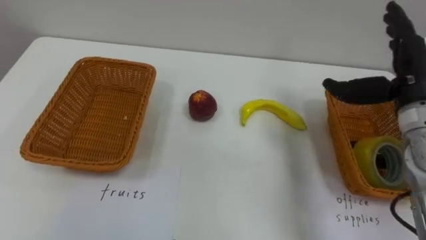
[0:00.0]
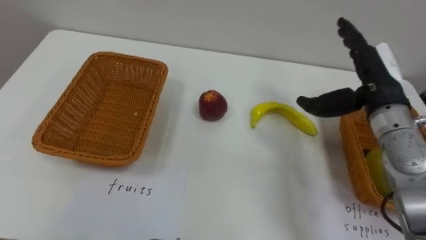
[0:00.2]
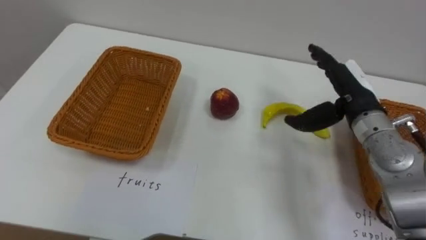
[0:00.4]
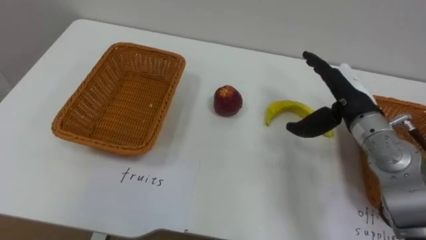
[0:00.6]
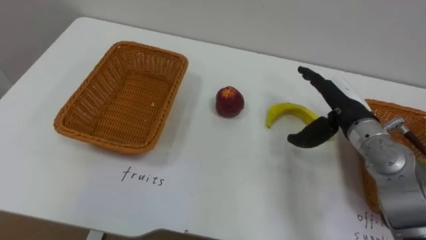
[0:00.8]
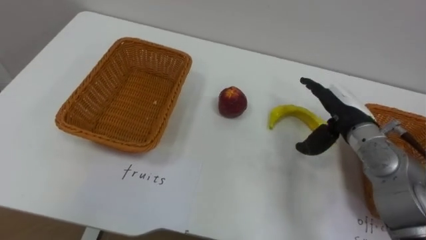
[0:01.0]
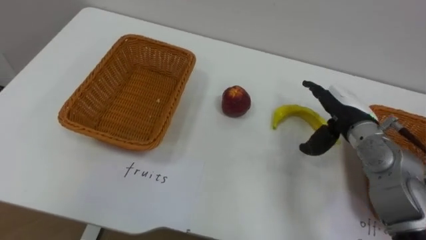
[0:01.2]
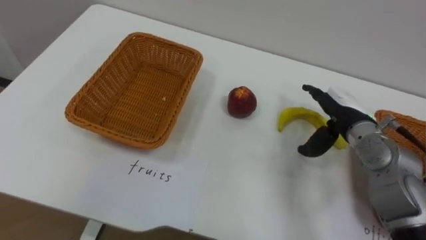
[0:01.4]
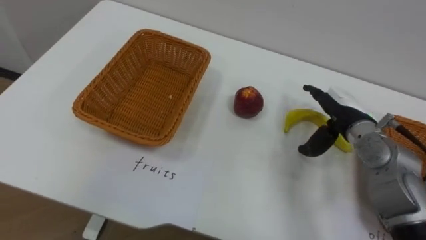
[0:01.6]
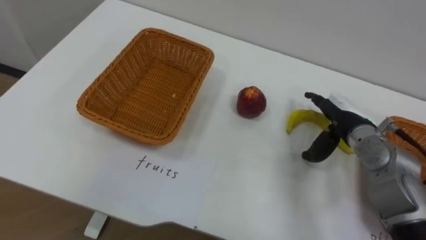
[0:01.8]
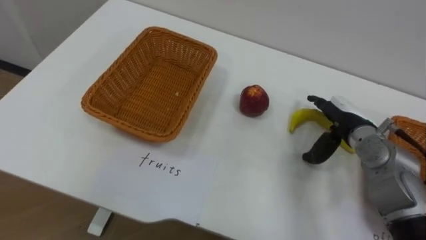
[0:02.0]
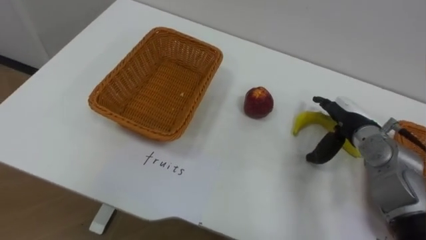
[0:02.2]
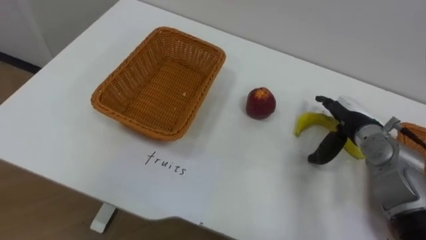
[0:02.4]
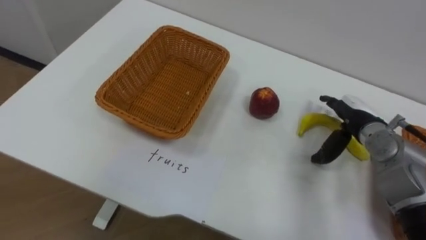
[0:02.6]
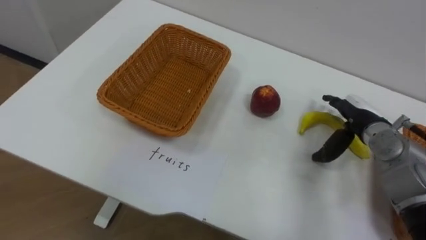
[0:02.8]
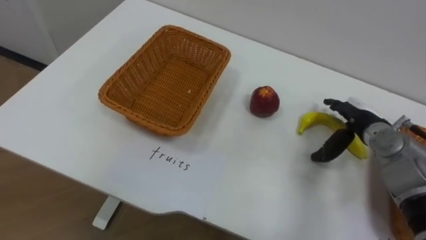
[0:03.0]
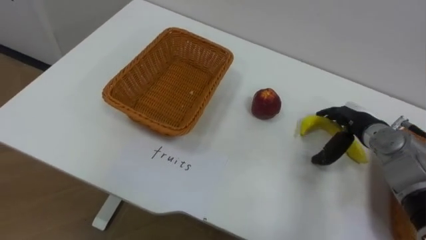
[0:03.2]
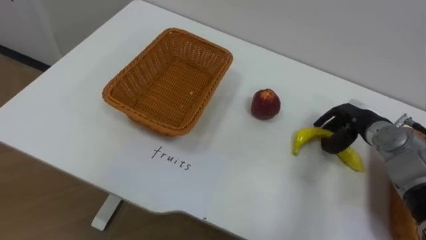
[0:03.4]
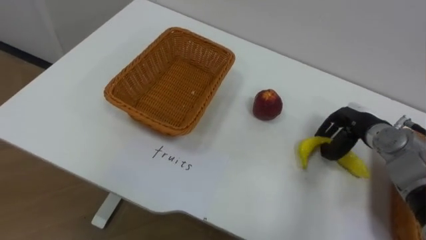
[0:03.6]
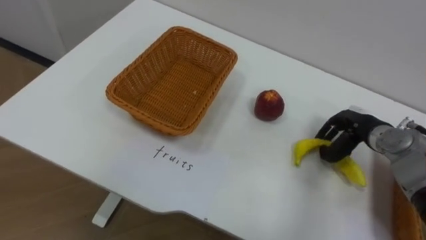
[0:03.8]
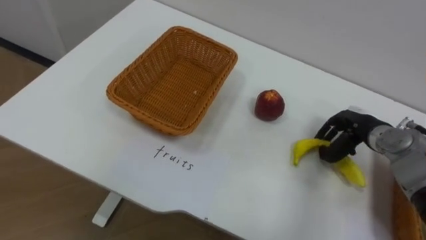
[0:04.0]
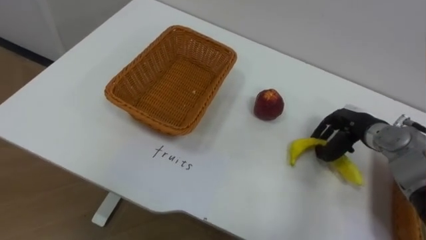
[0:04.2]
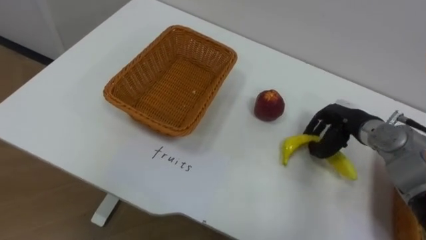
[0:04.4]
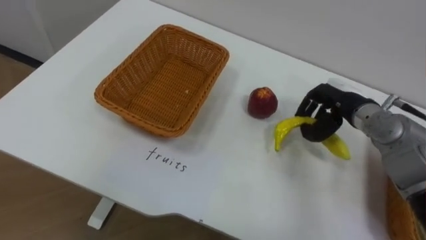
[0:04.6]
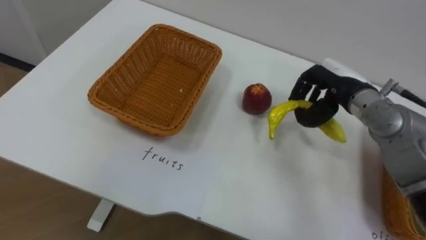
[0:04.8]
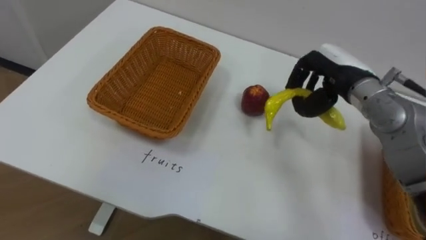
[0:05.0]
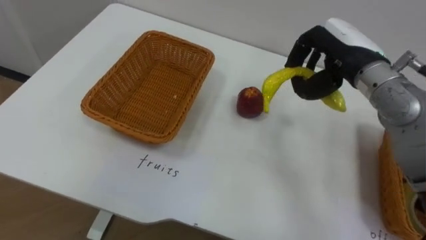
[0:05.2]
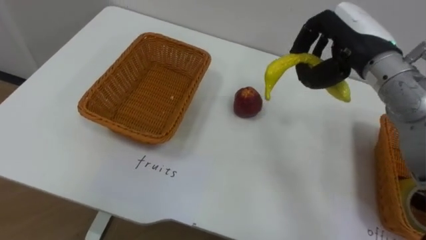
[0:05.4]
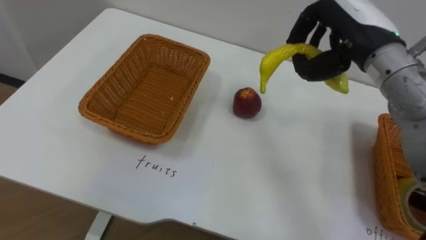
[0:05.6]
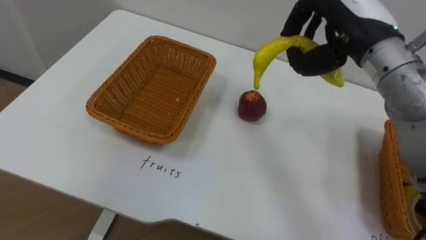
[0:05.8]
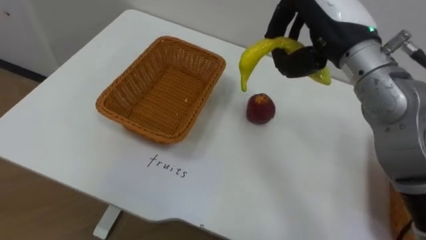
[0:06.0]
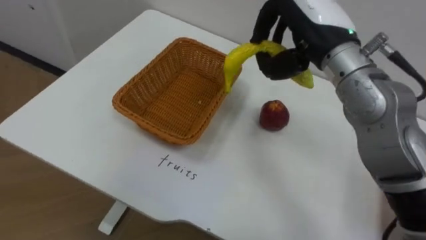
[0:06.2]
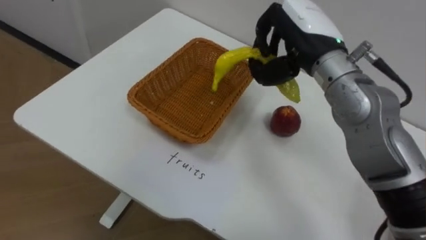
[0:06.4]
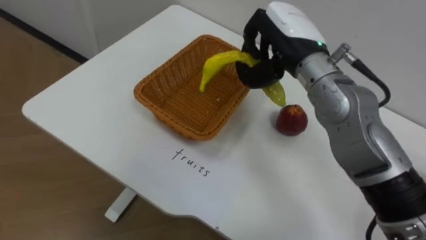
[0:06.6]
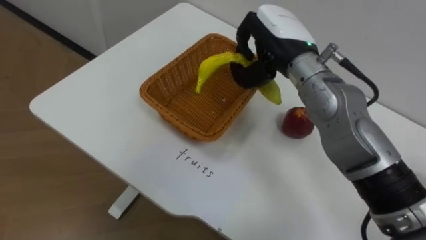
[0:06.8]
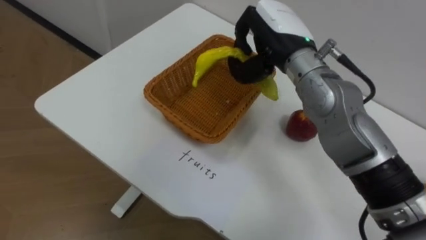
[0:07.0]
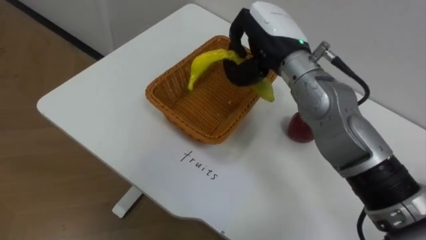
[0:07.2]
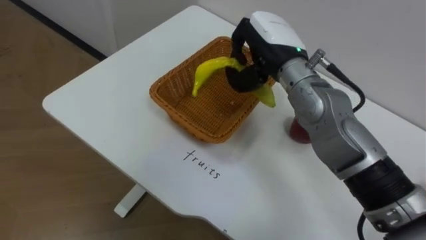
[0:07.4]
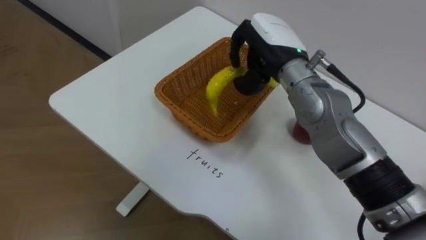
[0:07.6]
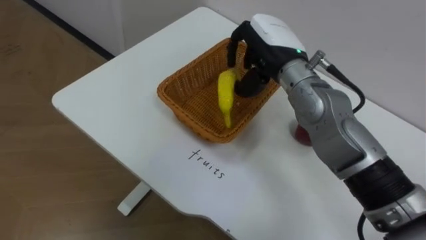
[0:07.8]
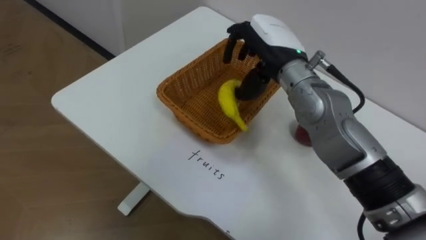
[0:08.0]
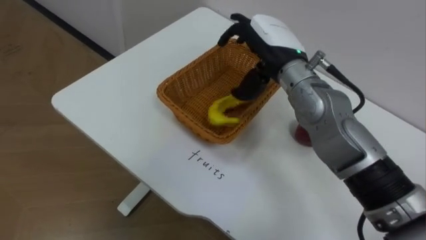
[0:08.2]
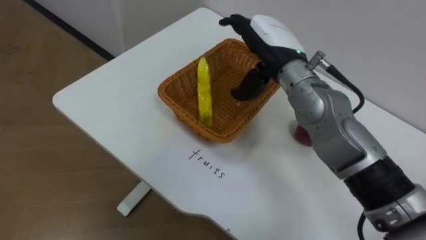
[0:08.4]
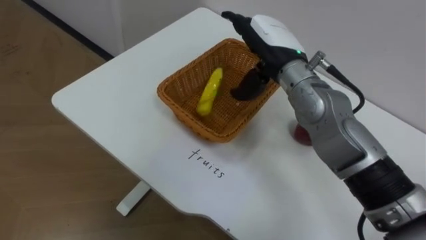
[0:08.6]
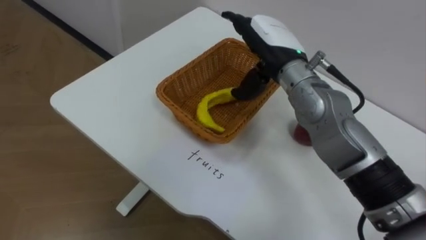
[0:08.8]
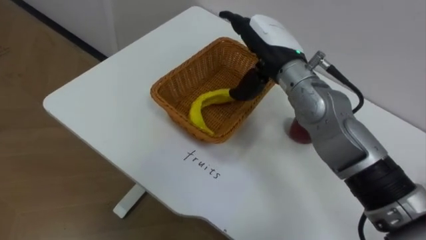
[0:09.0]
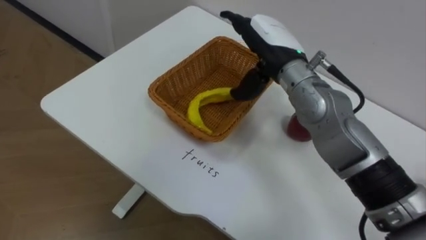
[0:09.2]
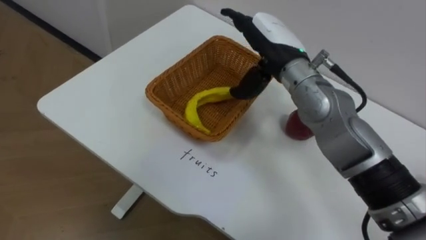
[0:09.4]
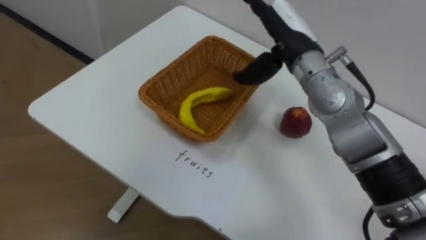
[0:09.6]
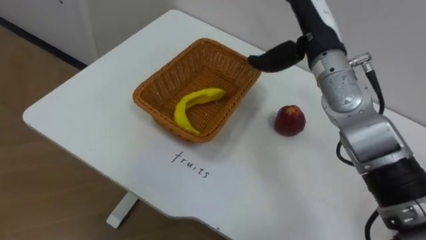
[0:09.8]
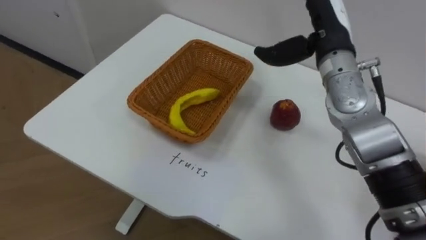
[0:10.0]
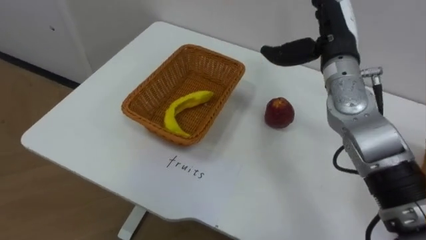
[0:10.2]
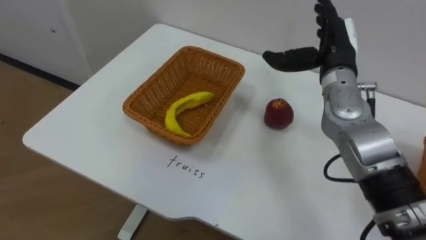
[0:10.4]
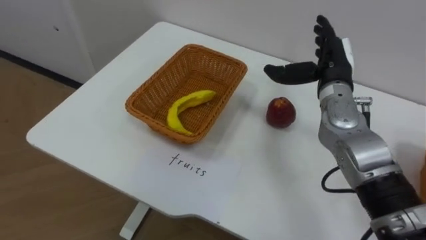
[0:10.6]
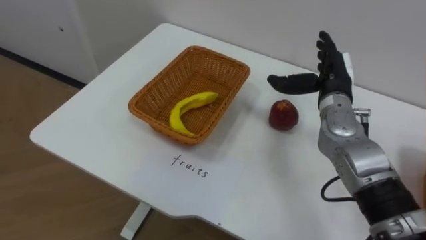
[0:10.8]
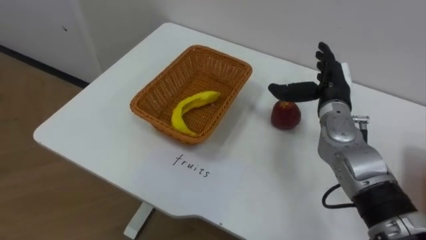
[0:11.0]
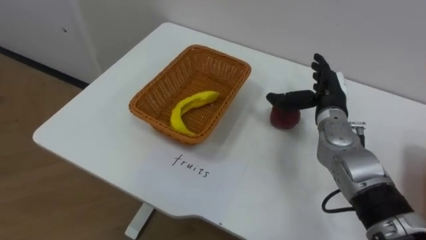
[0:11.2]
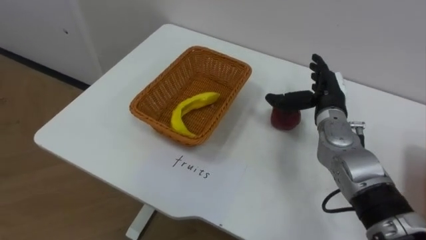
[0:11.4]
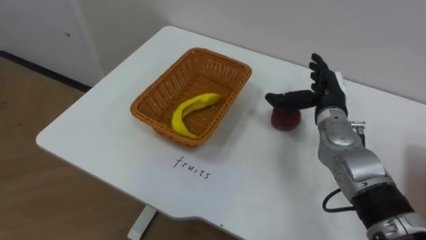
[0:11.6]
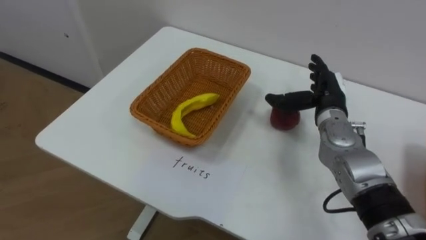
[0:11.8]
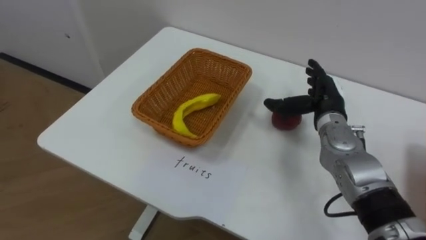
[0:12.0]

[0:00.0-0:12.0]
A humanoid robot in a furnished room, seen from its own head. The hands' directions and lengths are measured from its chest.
Task of the whole recording: Separate the items on the table and place them into the two baskets.
0:00.0 to 0:01.6: The right hand is displaced downward by some 10 cm.
0:01.6 to 0:03.0: The right hand moves roughly 5 cm.
0:03.0 to 0:04.4: The right hand closes its fingers.
0:04.4 to 0:06.0: The right hand travels upward and to the left by approximately 25 cm.
0:06.0 to 0:07.6: The right hand is displaced to the left and downward by about 10 cm.
0:07.6 to 0:09.0: The right hand opens its fingers.
0:09.0 to 0:10.4: The right hand heads to the right, covering about 10 cm.
0:10.4 to 0:12.0: The right hand goes some 10 cm downward.

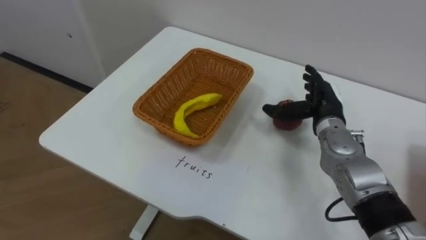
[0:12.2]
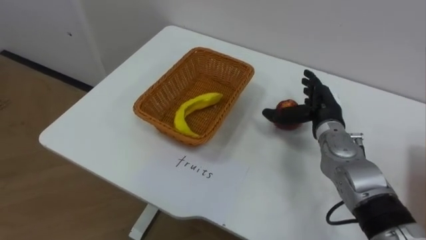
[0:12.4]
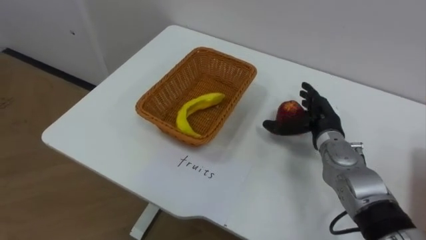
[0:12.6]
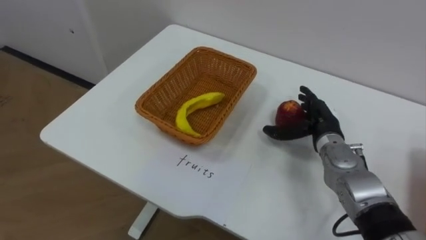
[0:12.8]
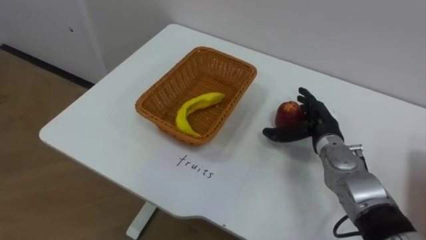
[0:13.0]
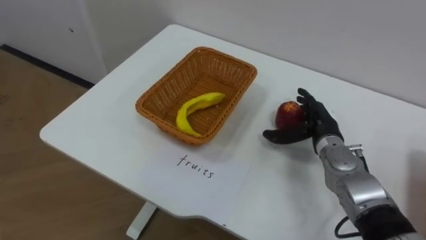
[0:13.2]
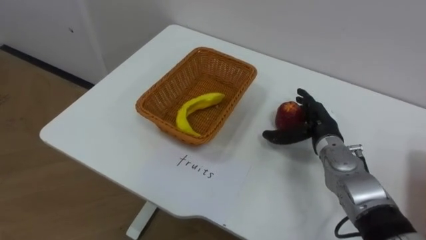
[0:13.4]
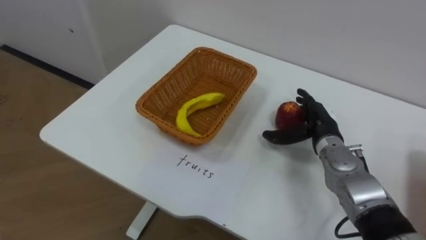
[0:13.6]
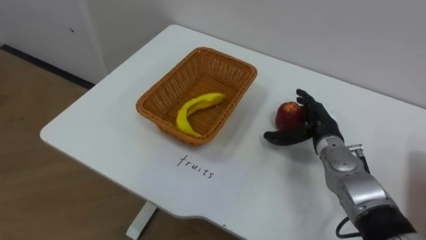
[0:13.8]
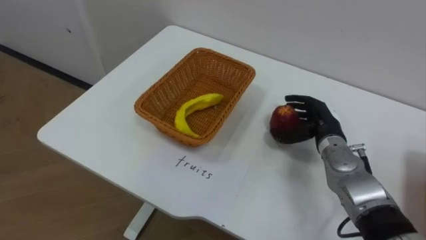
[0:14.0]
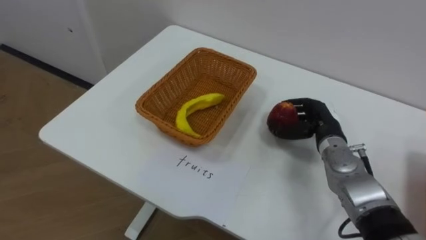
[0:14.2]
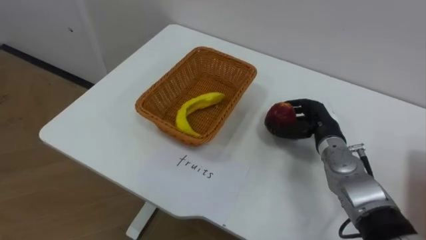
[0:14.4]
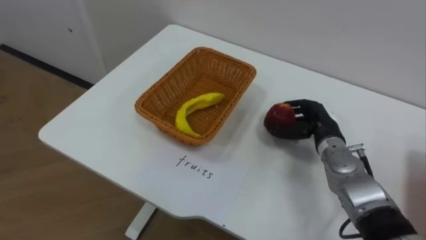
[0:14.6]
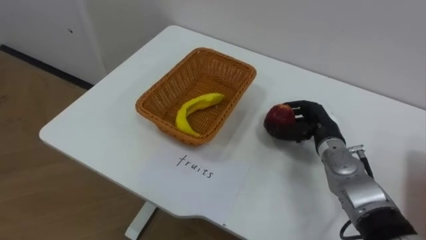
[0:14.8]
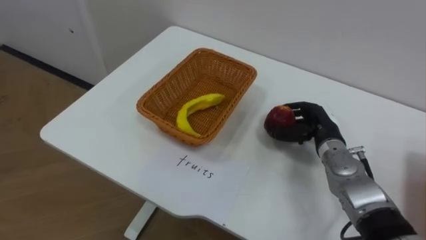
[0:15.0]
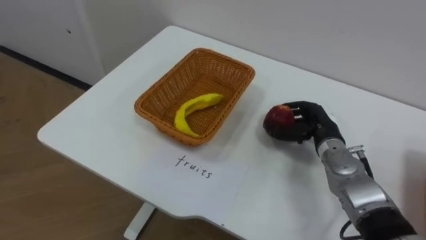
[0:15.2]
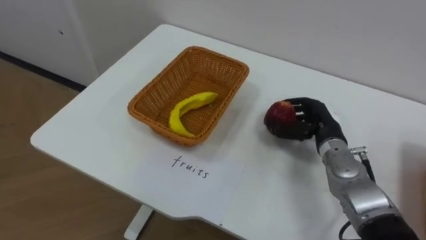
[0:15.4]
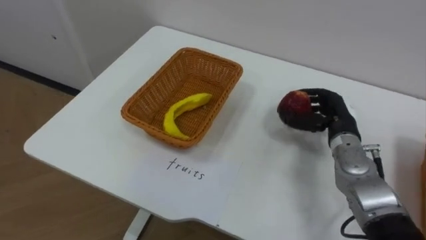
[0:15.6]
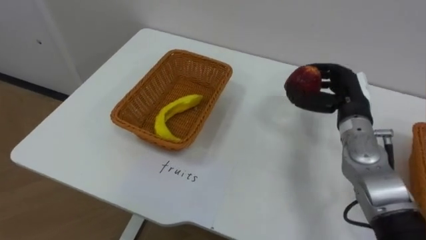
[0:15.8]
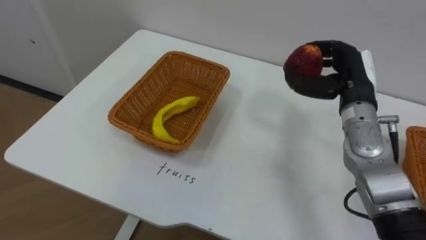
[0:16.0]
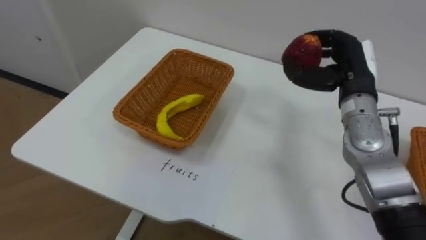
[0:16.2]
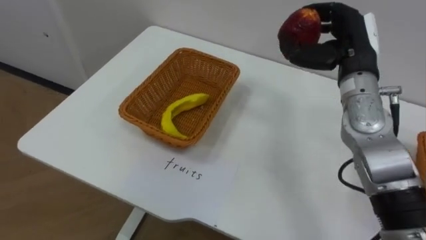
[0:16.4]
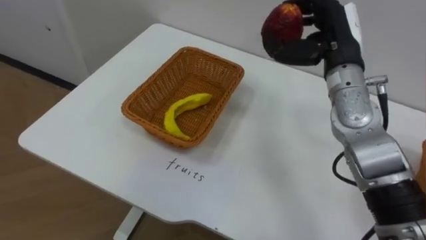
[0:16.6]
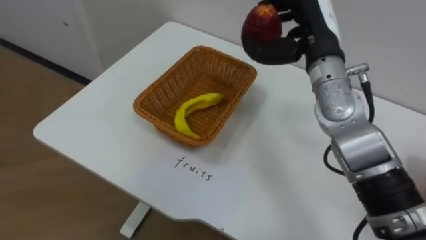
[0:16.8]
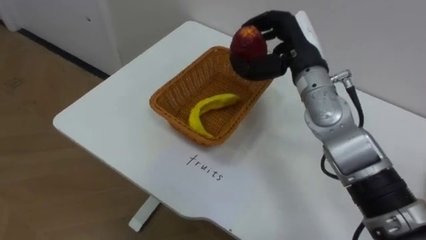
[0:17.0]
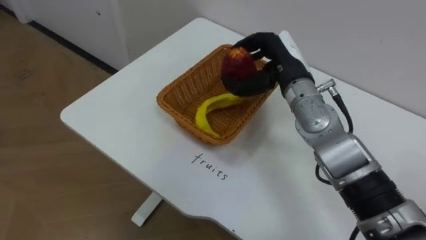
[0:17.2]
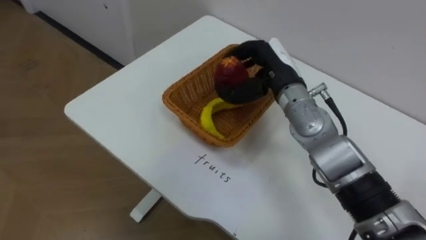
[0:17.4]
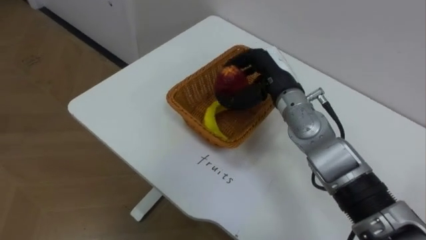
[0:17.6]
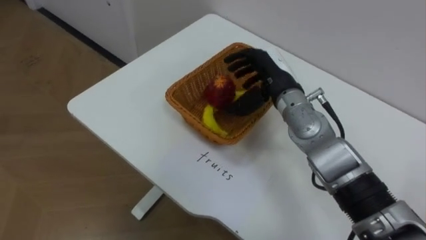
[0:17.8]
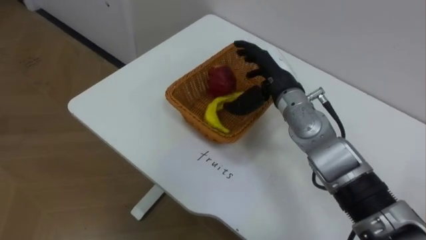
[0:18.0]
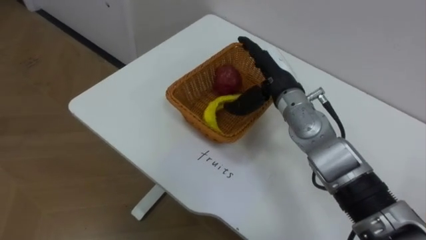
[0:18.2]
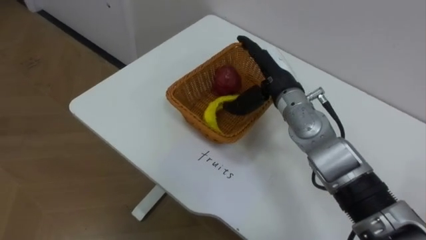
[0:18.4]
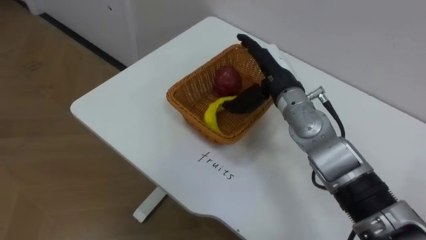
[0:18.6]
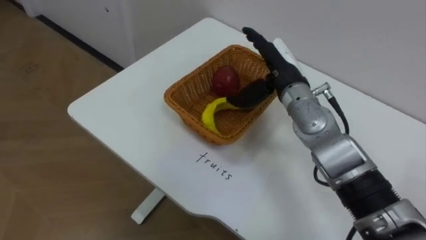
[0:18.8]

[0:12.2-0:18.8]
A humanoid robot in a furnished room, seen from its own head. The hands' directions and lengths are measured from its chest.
Task of the whole recording: Separate the items on the table and place them into the two baskets.
0:13.8 to 0:15.4: The right hand closes.
0:15.4 to 0:17.2: The right hand moves upward and to the left, about 15 cm.
0:17.2 to 0:18.8: The right hand opens its fingers.
